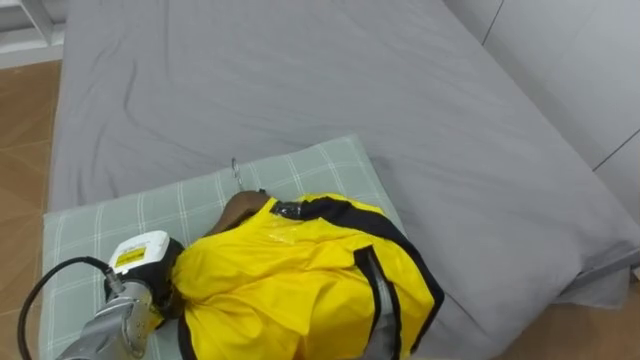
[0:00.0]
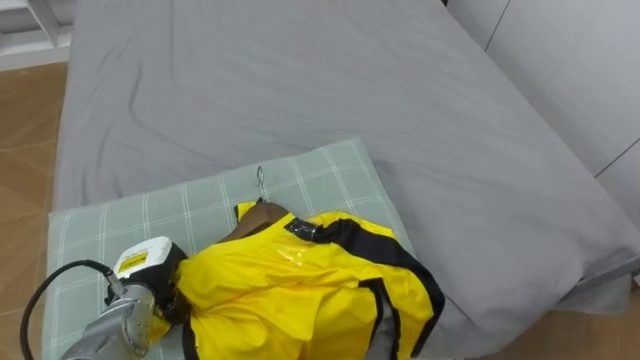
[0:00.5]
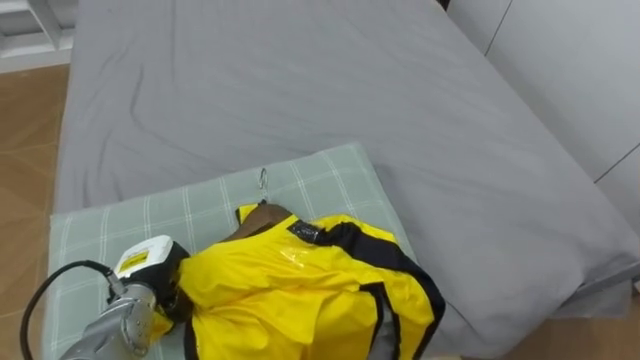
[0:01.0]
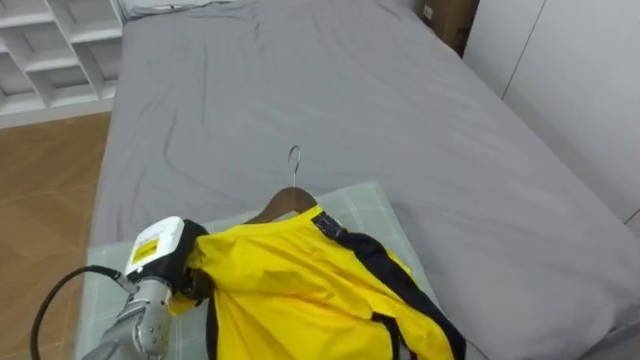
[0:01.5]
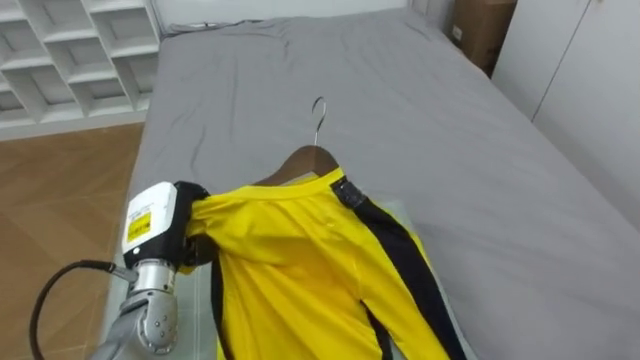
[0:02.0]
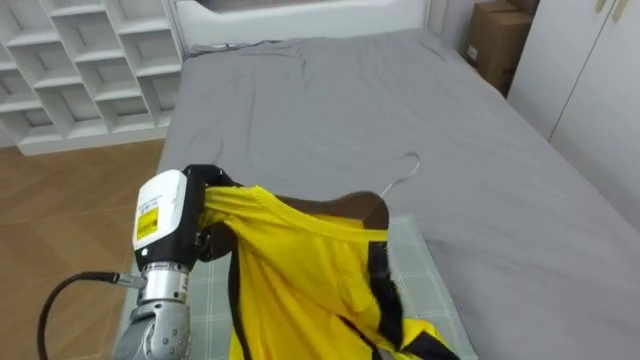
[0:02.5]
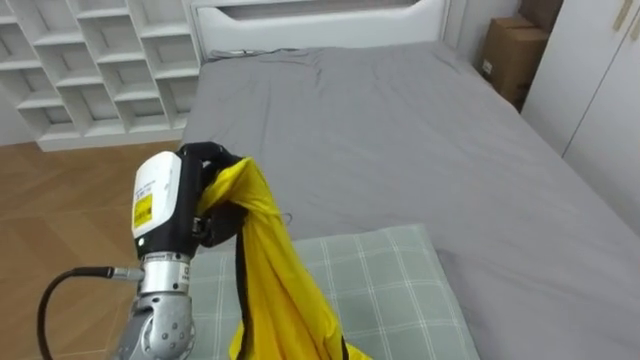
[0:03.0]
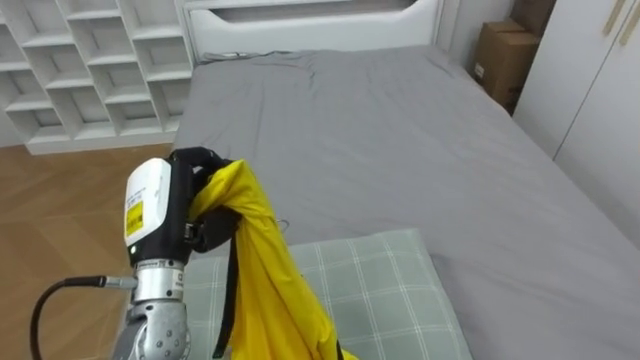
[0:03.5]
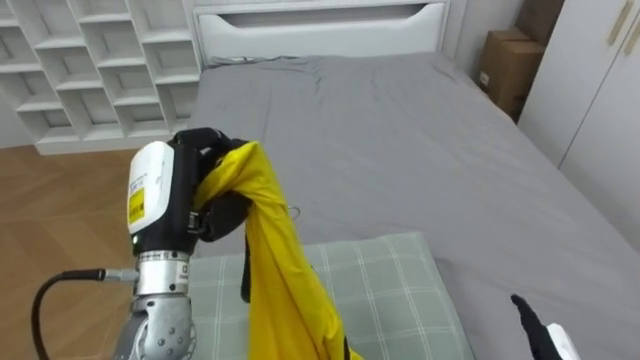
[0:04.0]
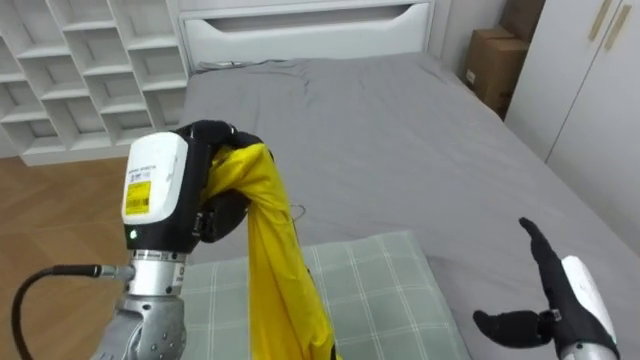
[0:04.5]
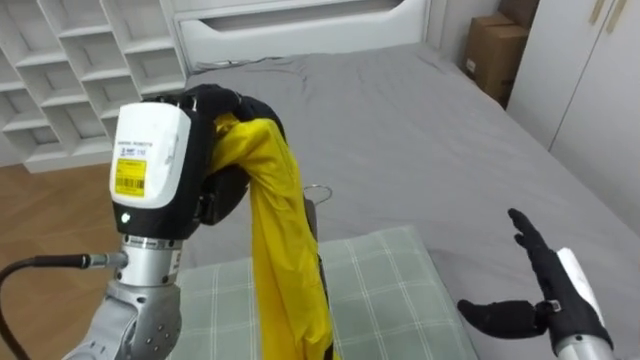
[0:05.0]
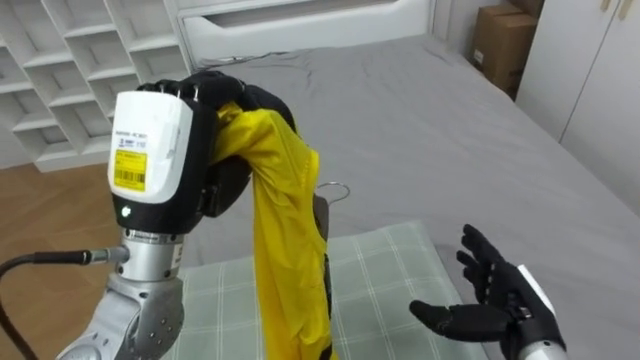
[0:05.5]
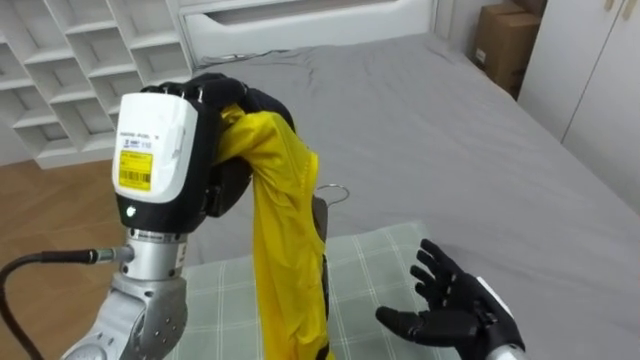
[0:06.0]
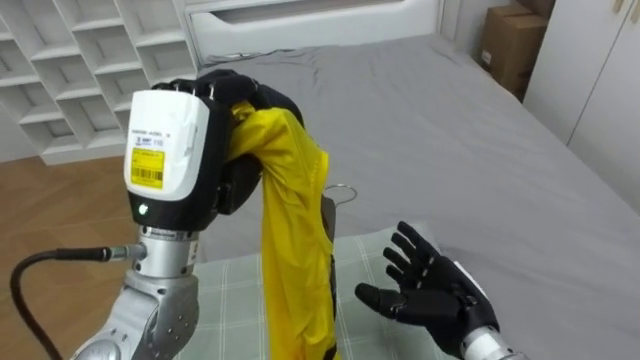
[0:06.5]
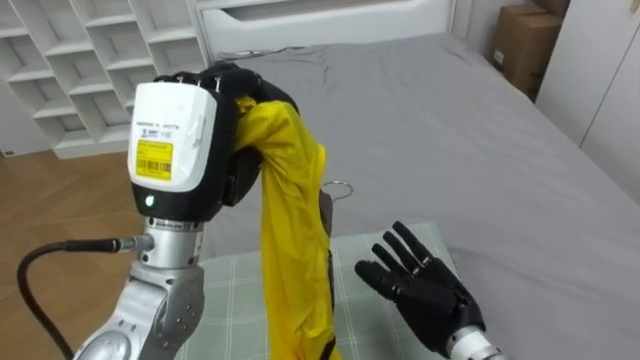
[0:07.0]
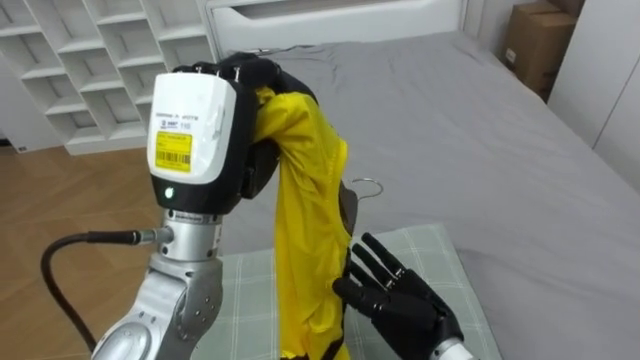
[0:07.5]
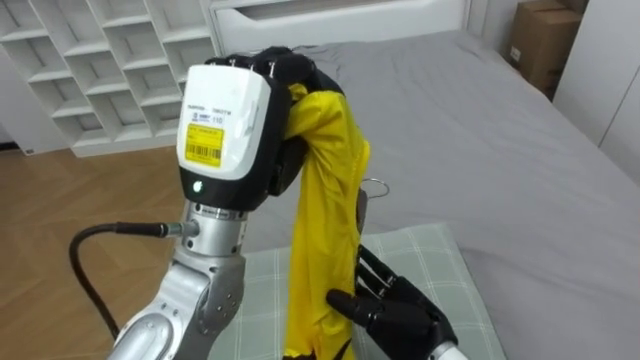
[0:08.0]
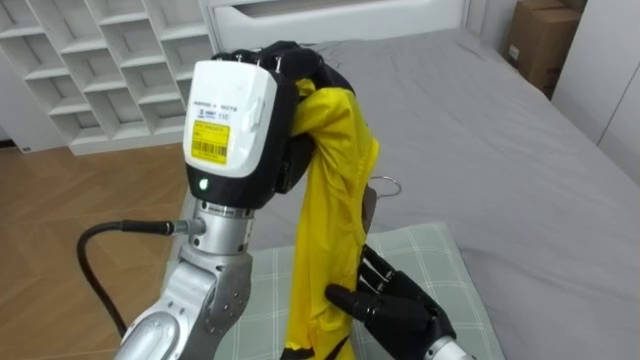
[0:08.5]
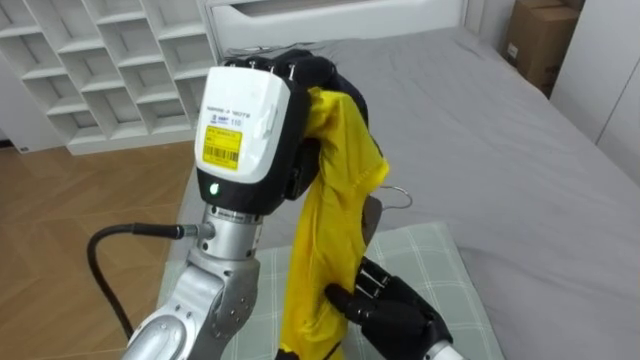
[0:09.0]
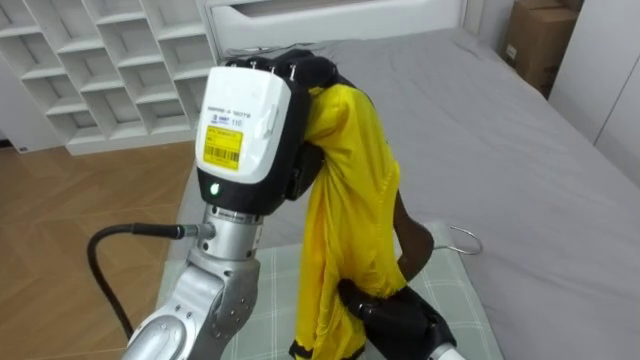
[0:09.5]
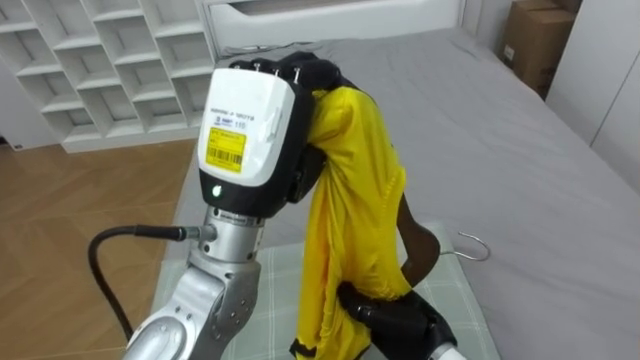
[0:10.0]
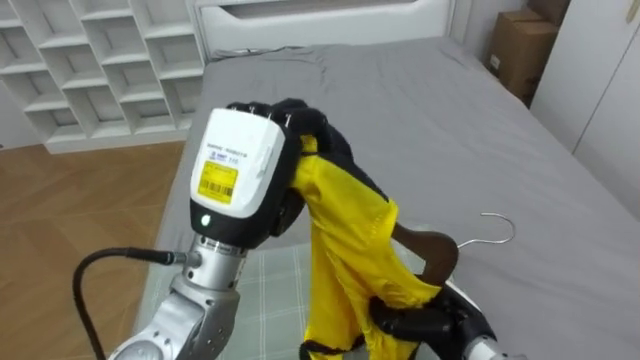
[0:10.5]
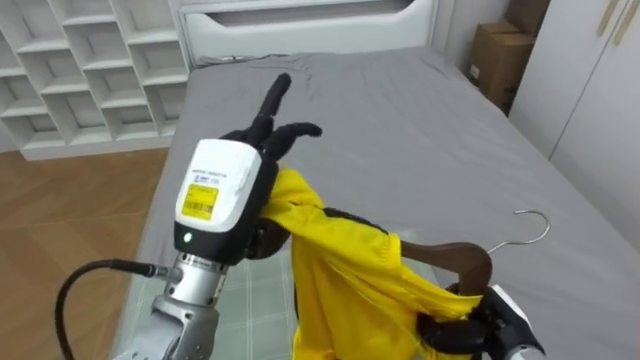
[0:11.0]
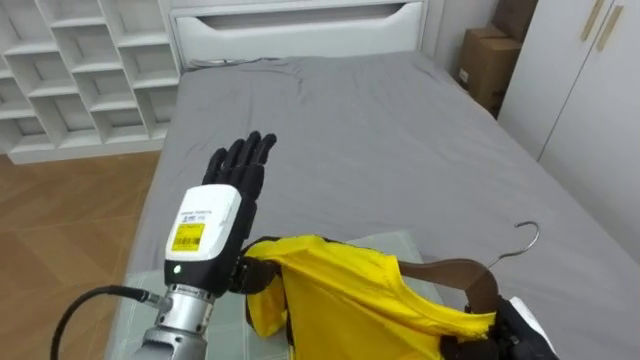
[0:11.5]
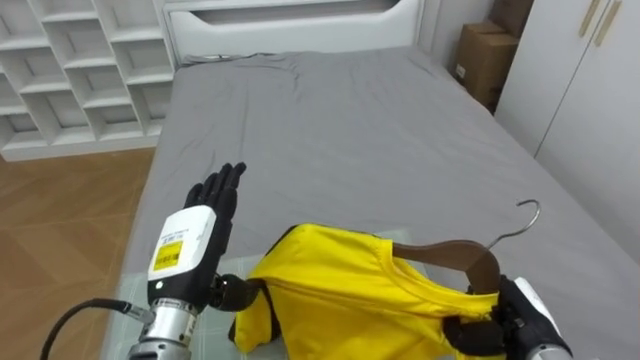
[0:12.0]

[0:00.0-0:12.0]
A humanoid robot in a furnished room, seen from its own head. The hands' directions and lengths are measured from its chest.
Task of the whole recording: Pick up the yellow shirt on the bed and hang it on the clothes rack on the right.
0:00.0 to 0:02.0: The left hand heads upward, covering some 5 cm.
0:02.0 to 0:04.0: The left hand goes some 10 cm upward.
0:04.0 to 0:06.0: The left hand shifts roughly 10 cm upward.
0:06.0 to 0:08.0: The right hand is displaced to the left by some 10 cm. Meanwhile the left hand moves to the right, approximately 5 cm.
0:08.0 to 0:10.0: The right hand closes its fingers.
0:10.0 to 0:12.0: The left hand heads downward and to the left, covering about 20 cm, and opens up. Meanwhile the right hand shifts approximately 15 cm to the right.

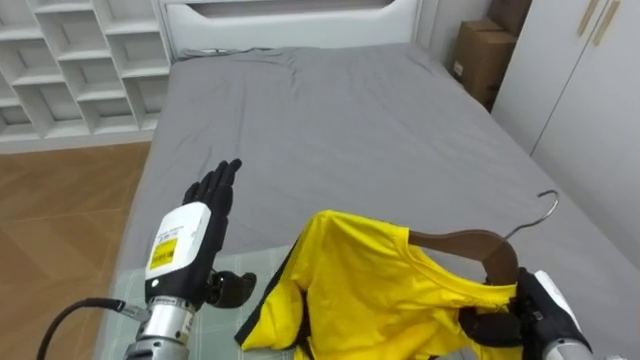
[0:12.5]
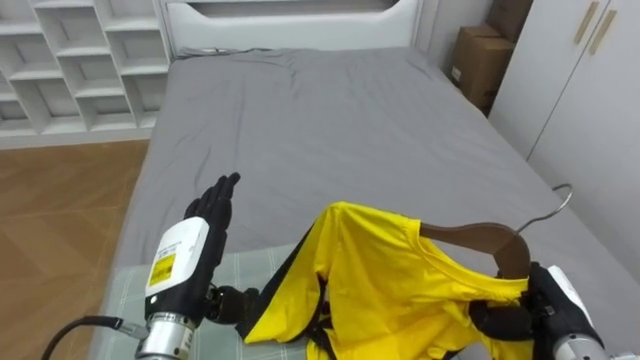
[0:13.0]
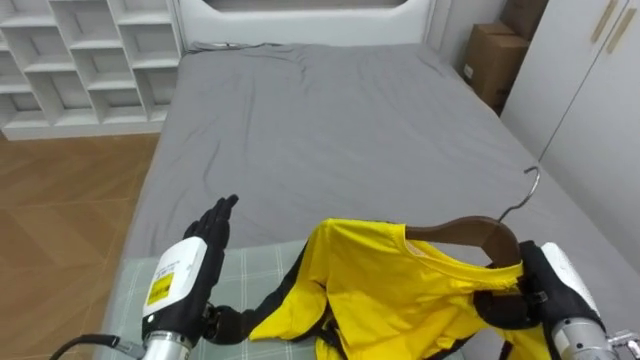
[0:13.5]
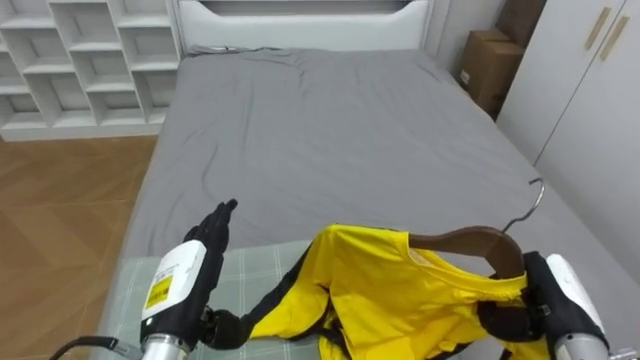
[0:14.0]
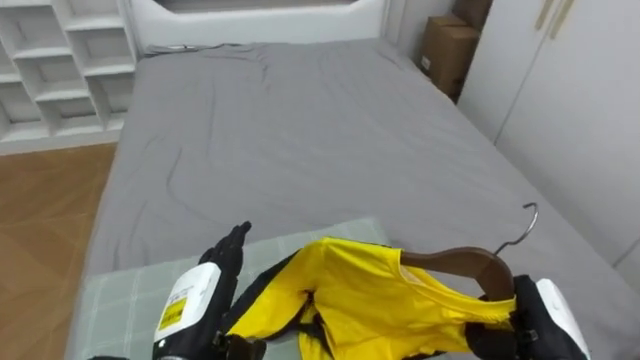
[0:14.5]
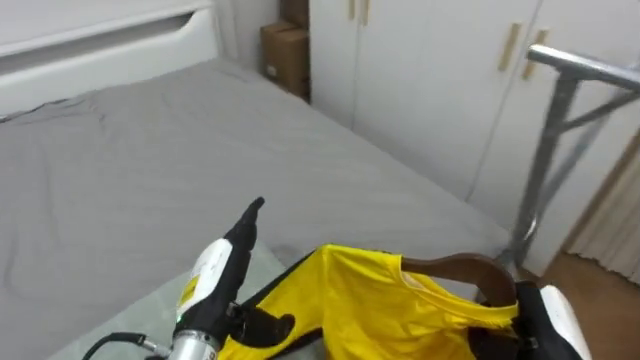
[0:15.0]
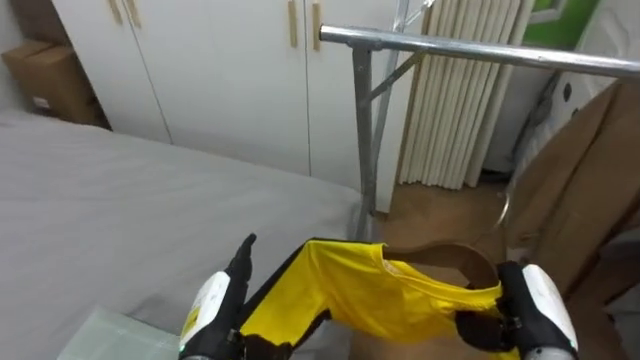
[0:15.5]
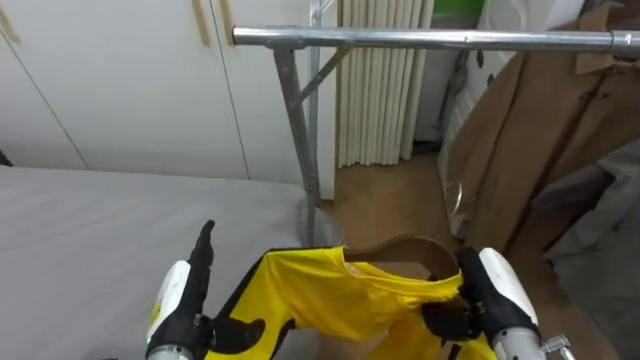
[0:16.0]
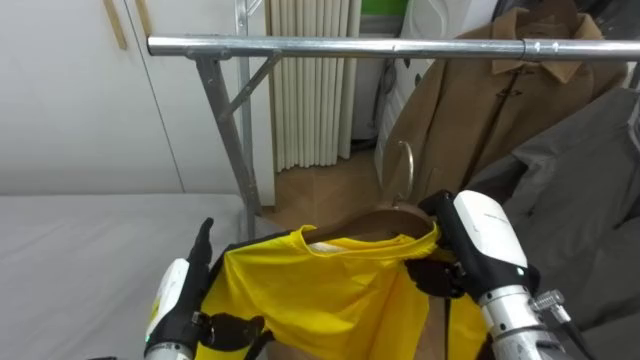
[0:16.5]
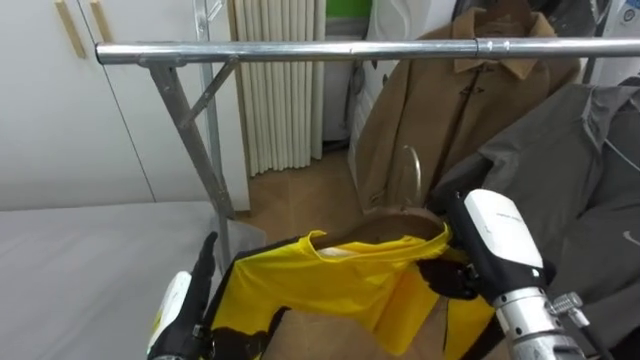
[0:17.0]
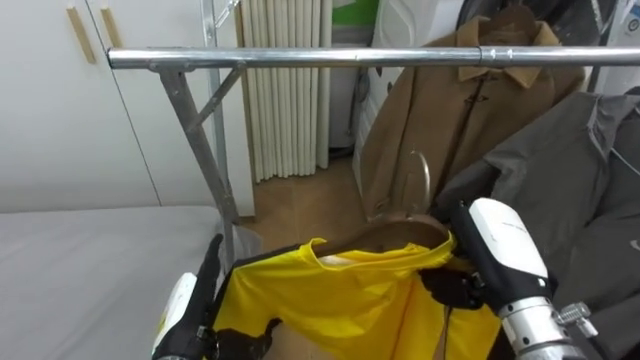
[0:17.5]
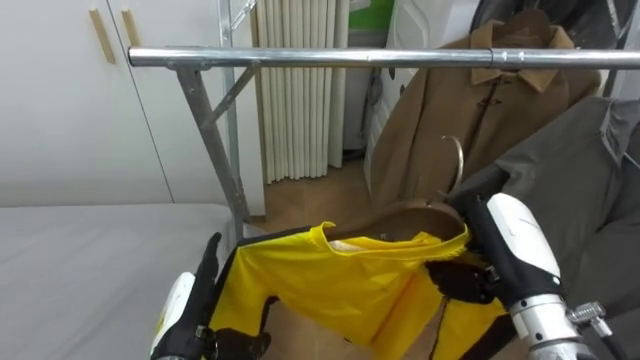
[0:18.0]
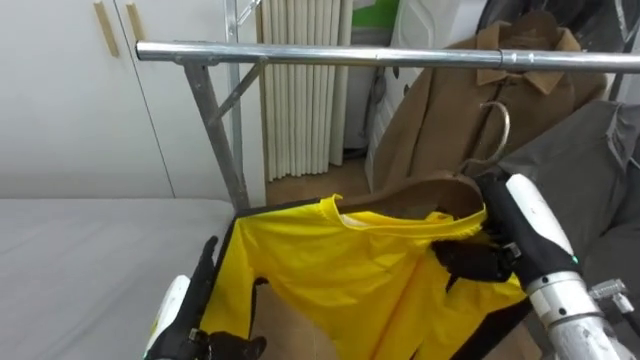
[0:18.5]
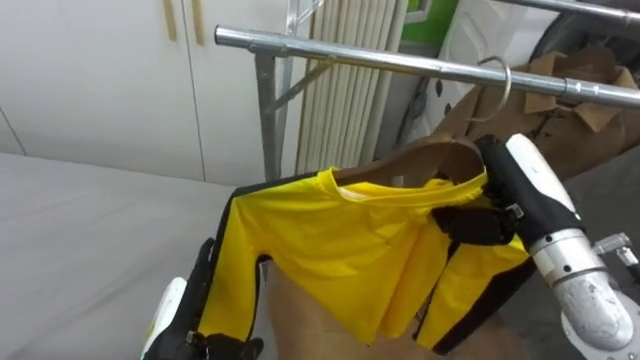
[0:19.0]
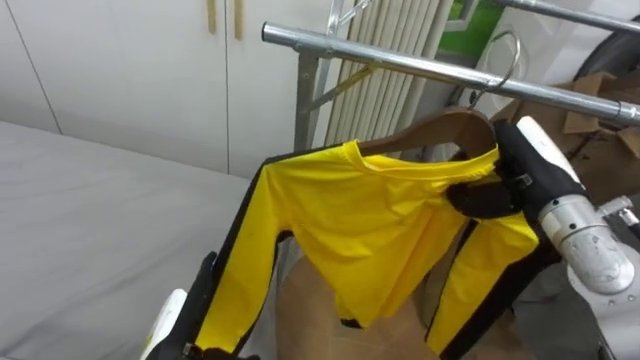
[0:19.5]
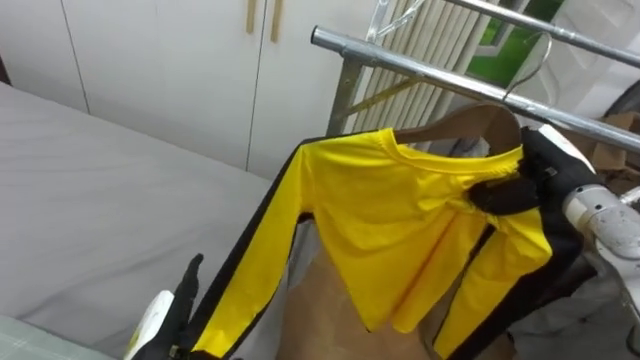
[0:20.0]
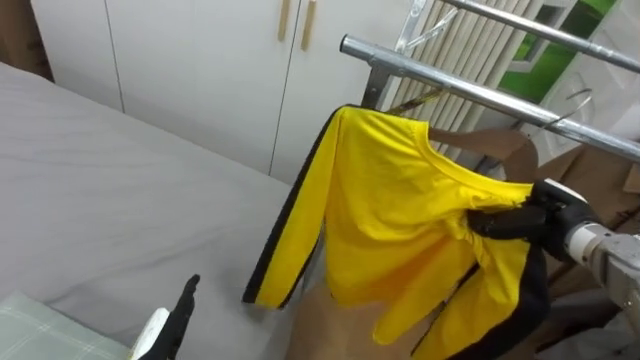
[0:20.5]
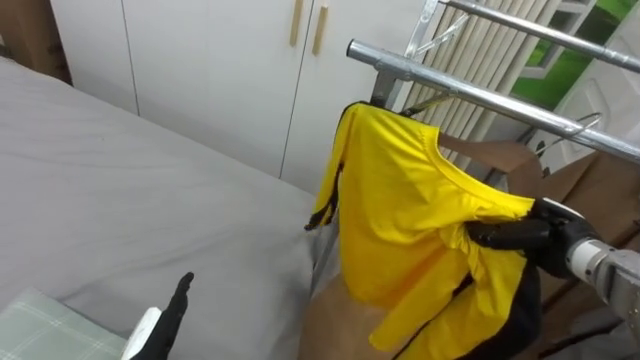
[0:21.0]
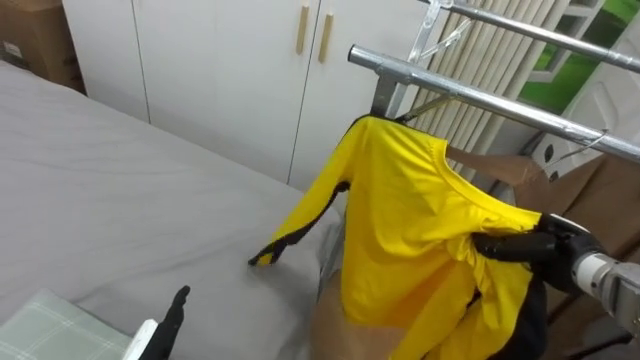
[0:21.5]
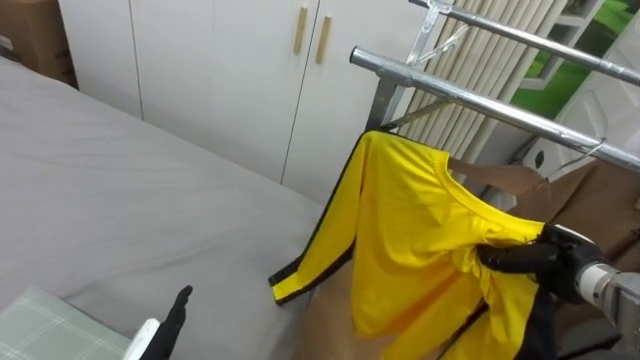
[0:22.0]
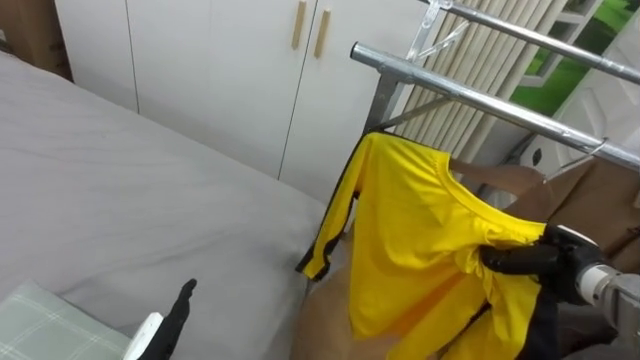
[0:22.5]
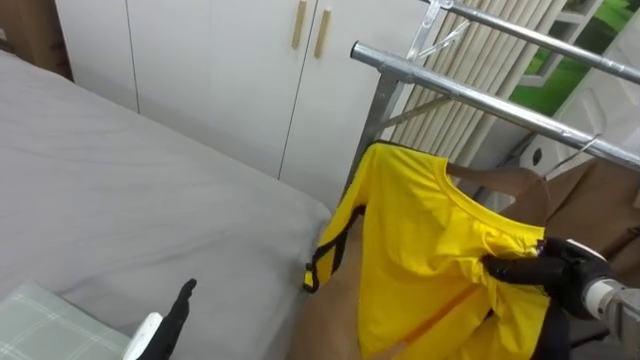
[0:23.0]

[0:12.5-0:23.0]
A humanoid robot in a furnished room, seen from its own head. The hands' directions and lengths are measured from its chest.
Task of the whole recording: Pick up the yellow shirt on the bed and hang it on the clothes rack on the right.
0:12.5 to 0:14.5: The left hand heads downward, covering approximately 5 cm.
0:14.5 to 0:16.5: The robot faces approximately 85 degrees further to its right. The right hand goes approximately 15 cm upward and to the left.
0:16.5 to 0:19.0: The right hand is displaced upward by approximately 5 cm.
0:19.0 to 0:21.0: The right hand goes roughly 15 cm downward and to the right.
0:21.0 to 0:23.0: The right hand ends up roughly 5 cm from where it was.
